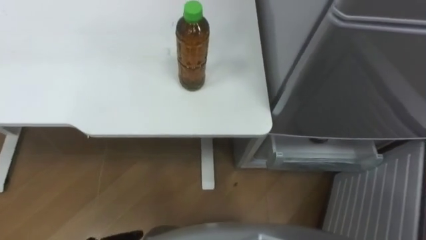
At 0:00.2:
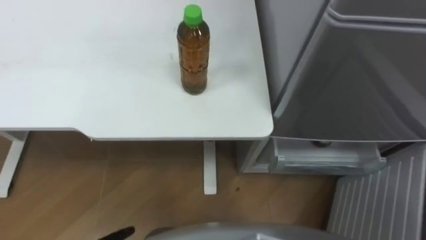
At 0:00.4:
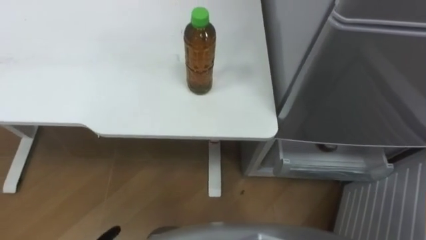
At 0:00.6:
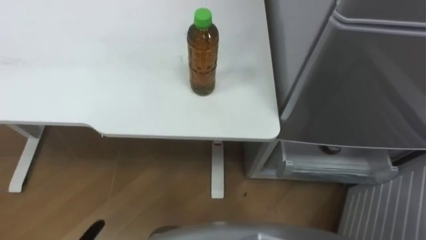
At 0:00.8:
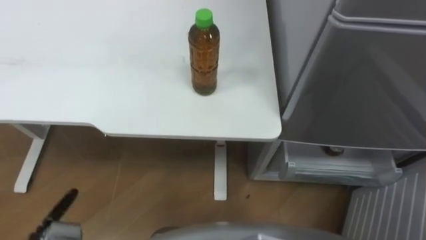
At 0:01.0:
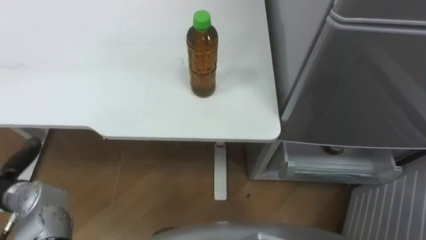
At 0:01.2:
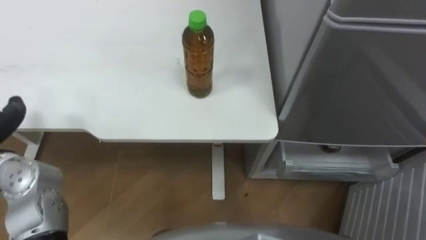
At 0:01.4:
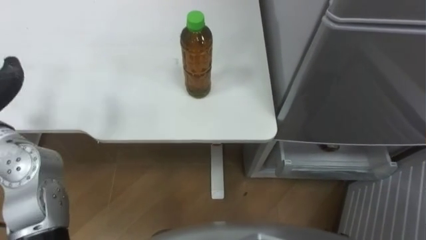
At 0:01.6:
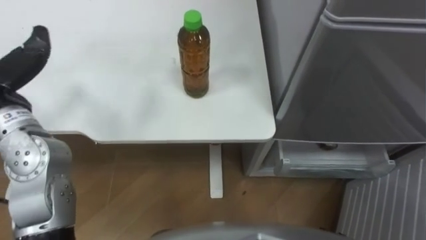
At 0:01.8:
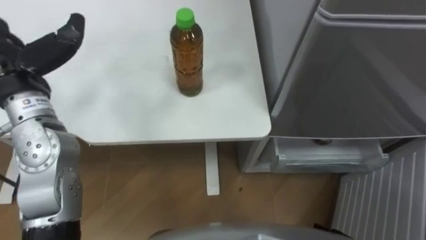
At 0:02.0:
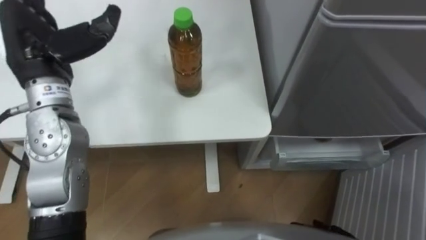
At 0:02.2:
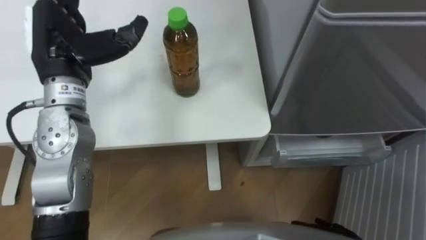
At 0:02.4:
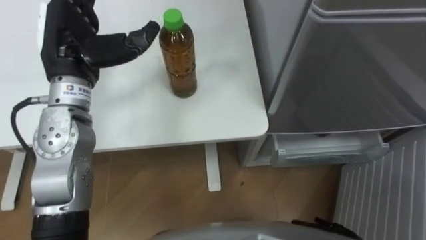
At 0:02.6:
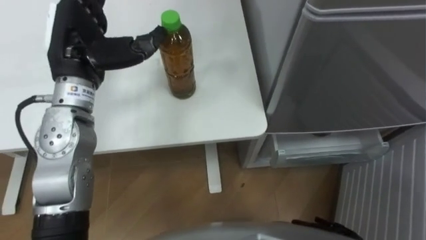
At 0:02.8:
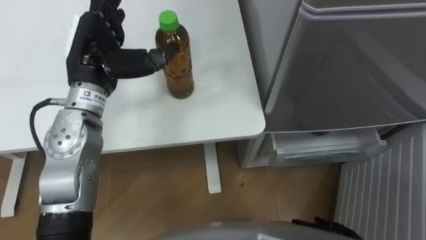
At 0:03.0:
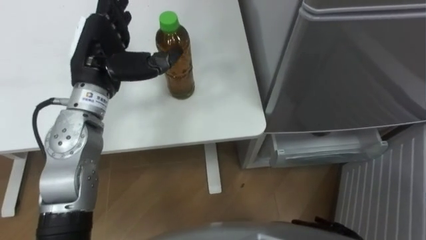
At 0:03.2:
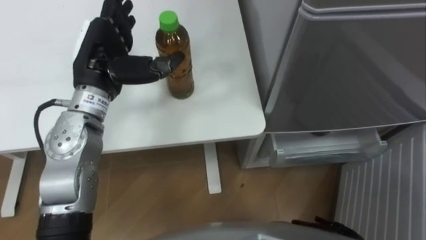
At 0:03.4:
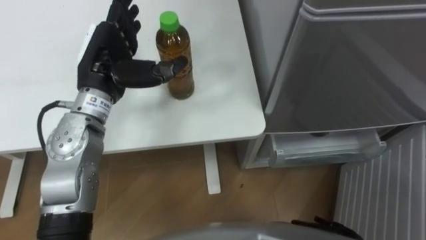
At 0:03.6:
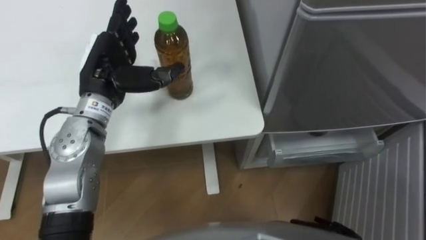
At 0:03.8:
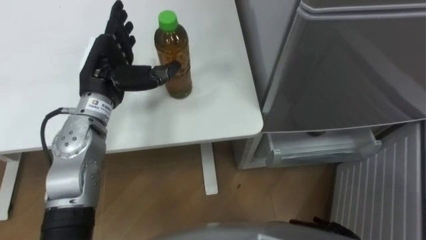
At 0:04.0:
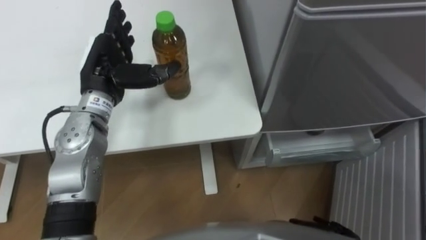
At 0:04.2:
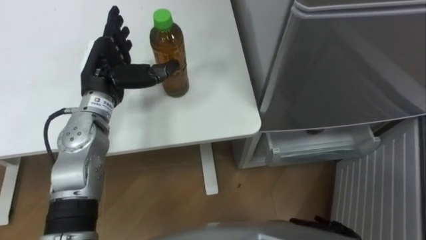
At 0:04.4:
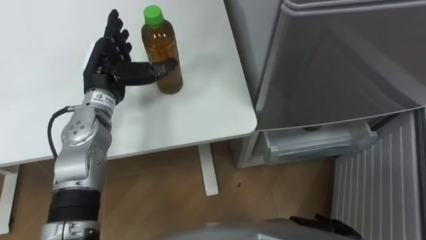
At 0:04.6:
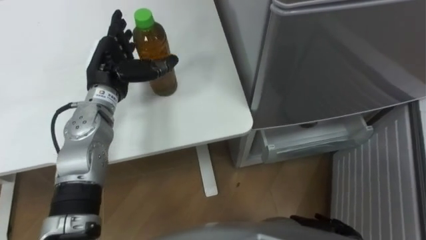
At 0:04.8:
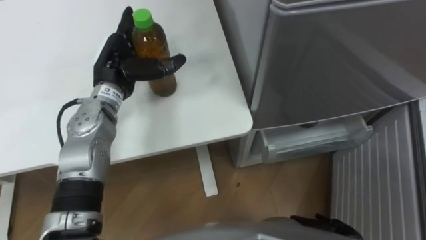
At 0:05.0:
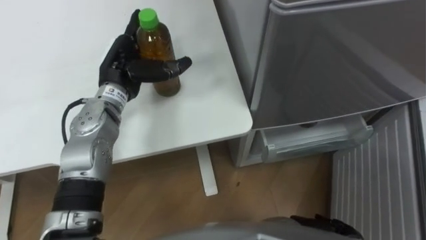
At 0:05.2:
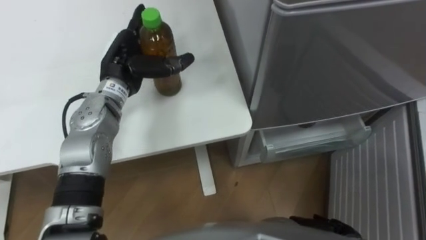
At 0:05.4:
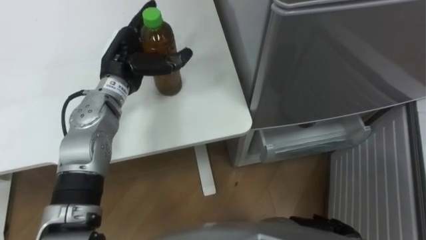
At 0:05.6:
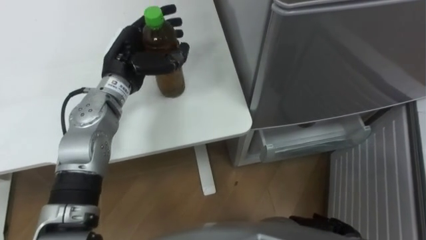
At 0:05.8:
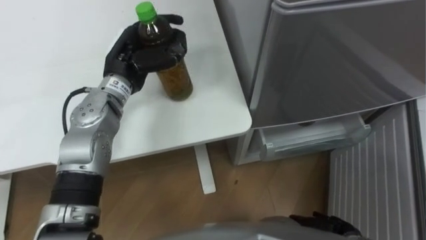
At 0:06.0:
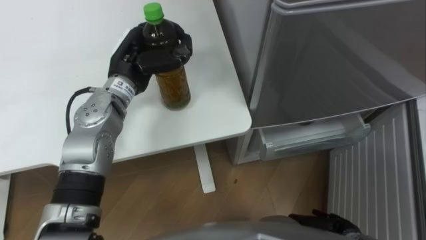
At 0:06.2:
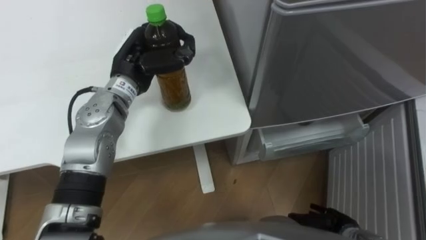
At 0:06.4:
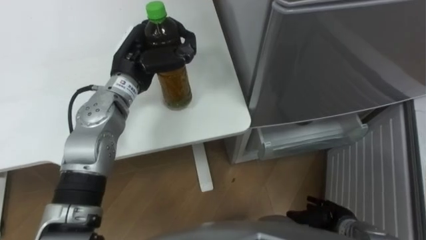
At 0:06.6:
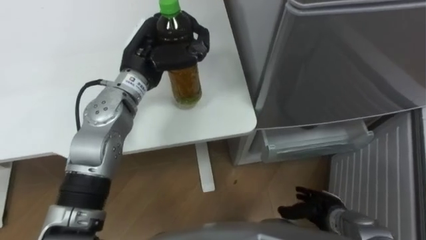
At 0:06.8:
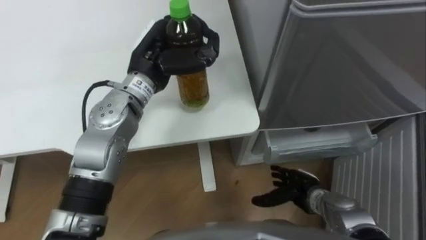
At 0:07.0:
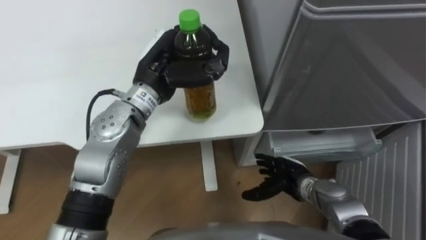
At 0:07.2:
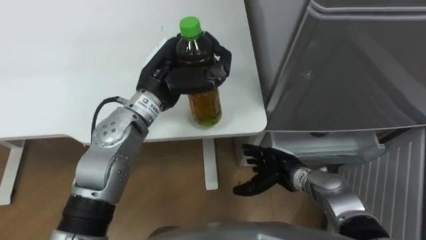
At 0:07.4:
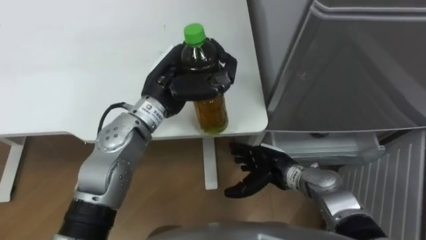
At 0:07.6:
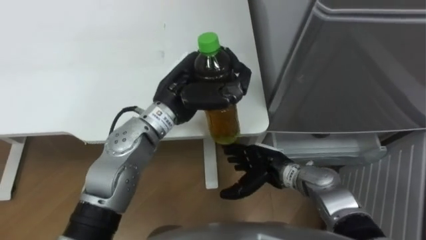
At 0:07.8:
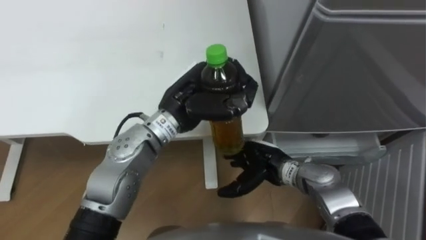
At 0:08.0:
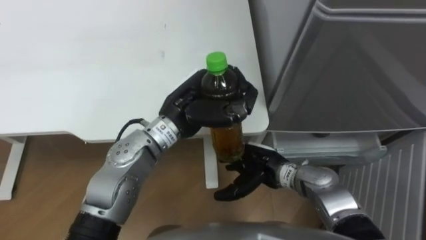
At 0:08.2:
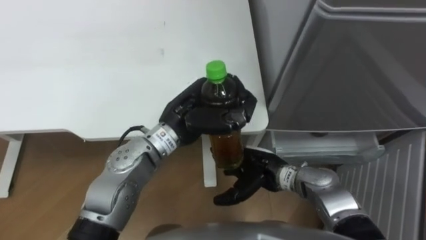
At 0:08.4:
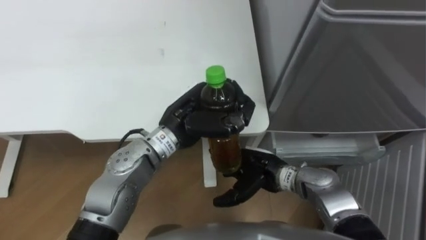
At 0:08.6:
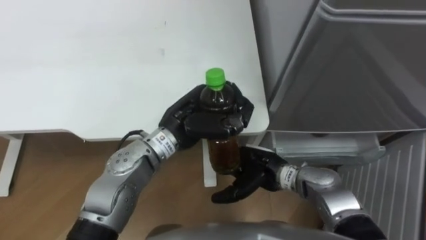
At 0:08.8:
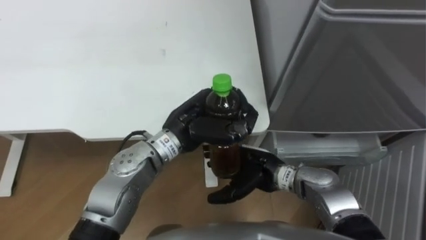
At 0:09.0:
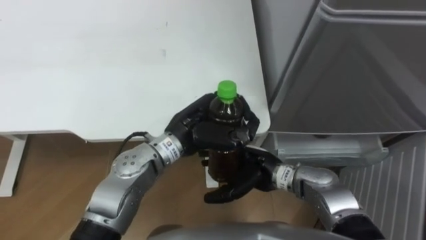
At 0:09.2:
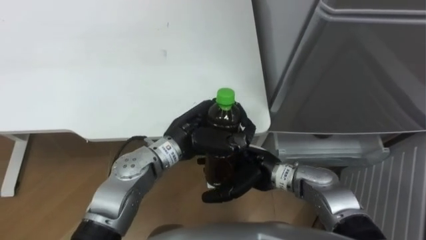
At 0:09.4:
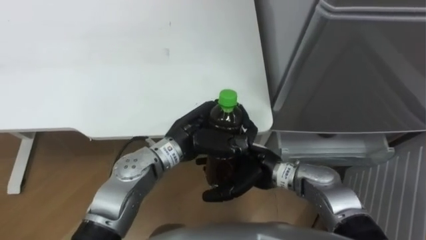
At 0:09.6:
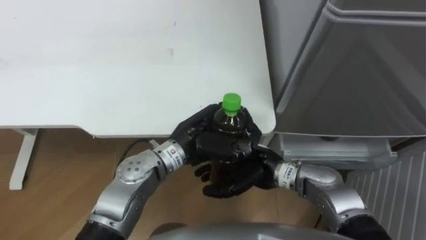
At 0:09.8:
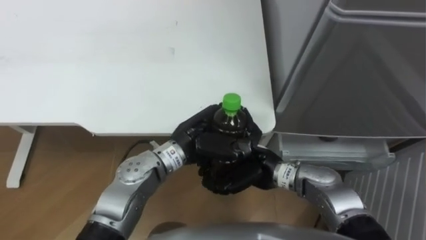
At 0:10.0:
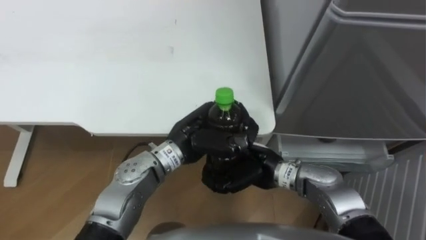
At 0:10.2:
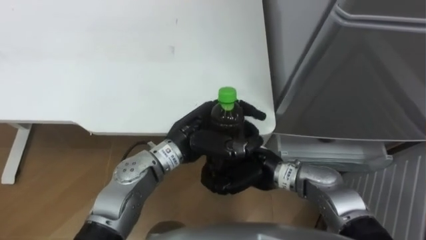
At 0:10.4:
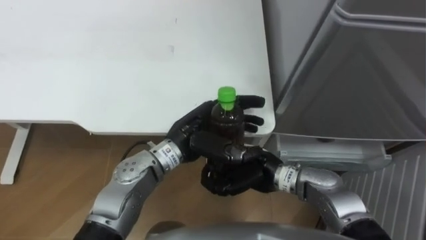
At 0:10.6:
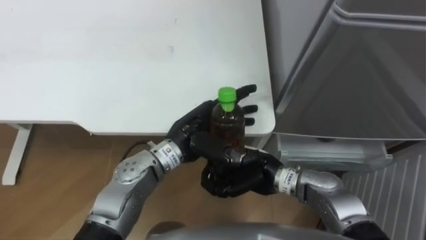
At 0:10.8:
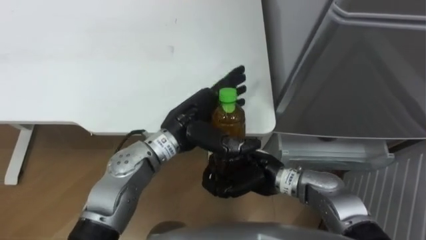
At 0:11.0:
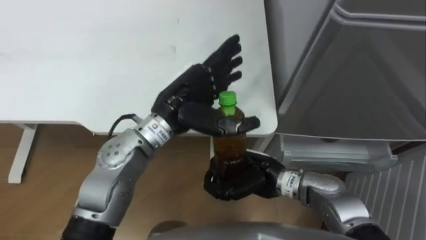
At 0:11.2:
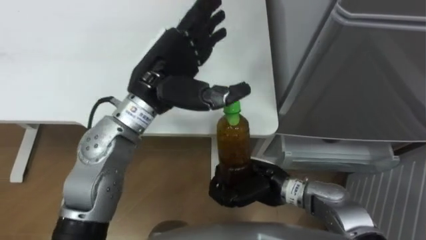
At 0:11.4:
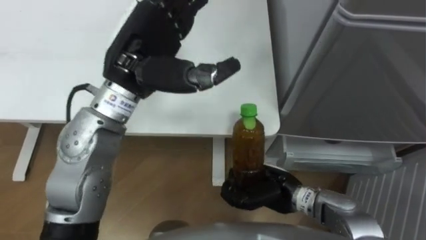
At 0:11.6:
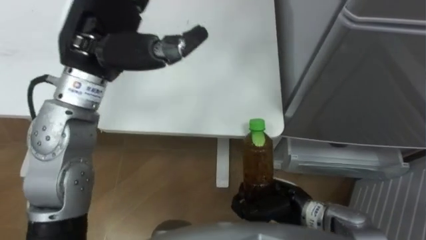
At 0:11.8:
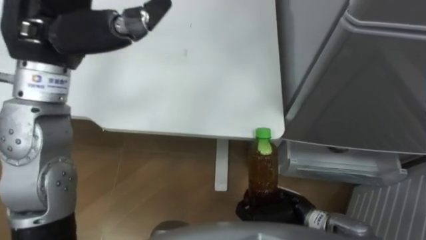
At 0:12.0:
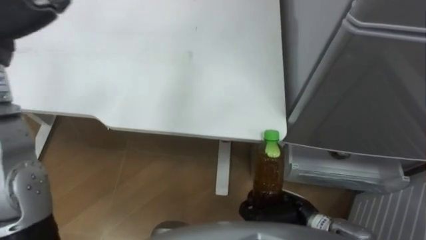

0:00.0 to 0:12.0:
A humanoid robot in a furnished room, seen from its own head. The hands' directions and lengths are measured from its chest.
Task of the whole recording: Place the drink on the table on the bottom shelf of the refrigerator, then close the drawer and the refrigerator door.
0:03.0 to 0:04.4: The left hand heads downward, covering roughly 5 cm.
0:04.4 to 0:06.0: The left hand travels to the right by approximately 5 cm, and closes.
0:06.0 to 0:07.6: The right hand travels to the left, forward and upward by some 25 cm; the left hand travels to the right and backward by approximately 10 cm.
0:07.6 to 0:09.0: The left hand heads downward, covering some 5 cm.
0:09.0 to 0:10.4: The right hand closes its fingers. The left hand opens its fingers.
0:10.4 to 0:12.0: The right hand travels to the right, backward and downward by approximately 15 cm.

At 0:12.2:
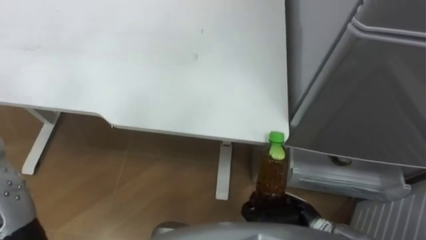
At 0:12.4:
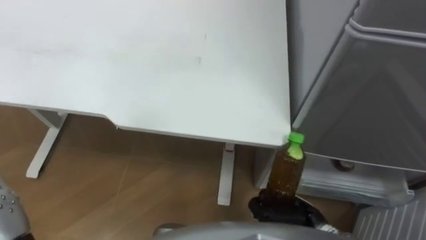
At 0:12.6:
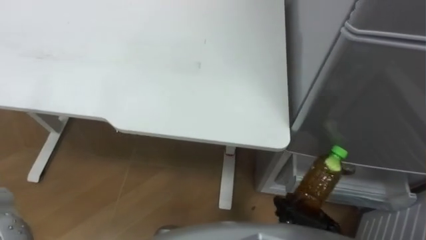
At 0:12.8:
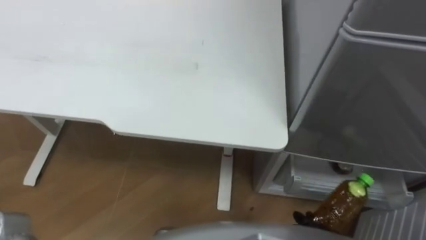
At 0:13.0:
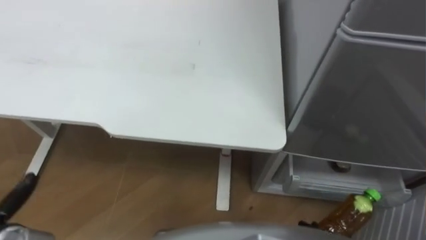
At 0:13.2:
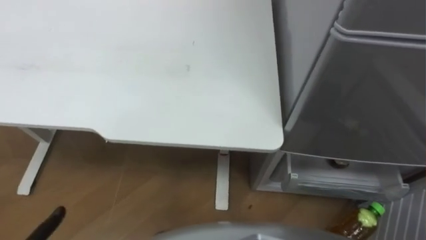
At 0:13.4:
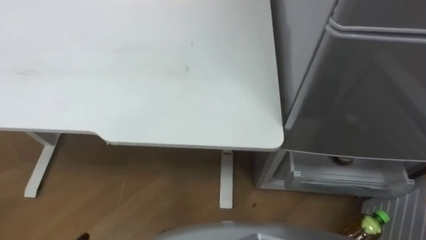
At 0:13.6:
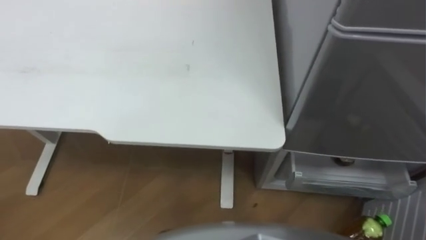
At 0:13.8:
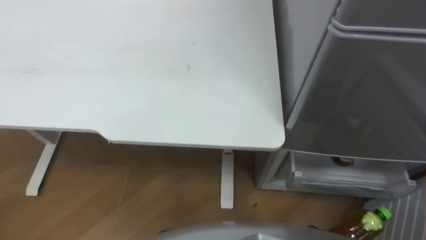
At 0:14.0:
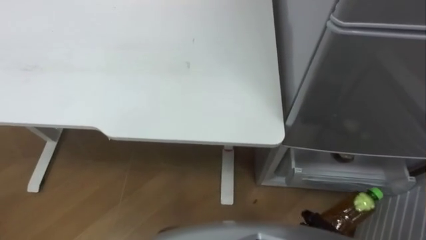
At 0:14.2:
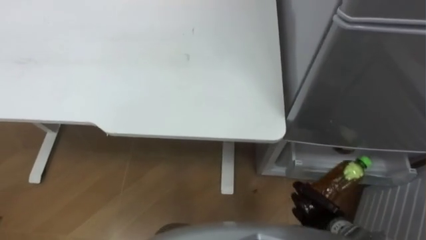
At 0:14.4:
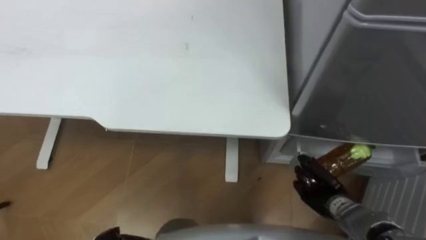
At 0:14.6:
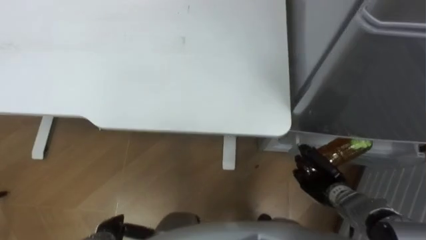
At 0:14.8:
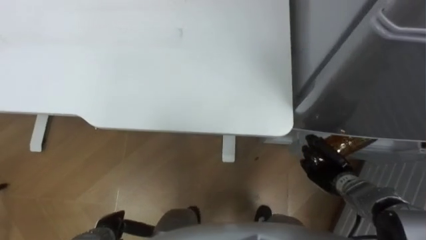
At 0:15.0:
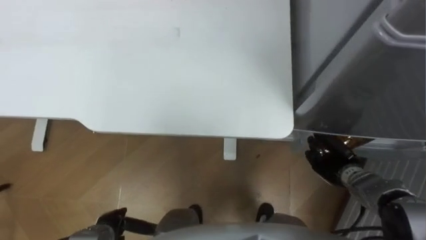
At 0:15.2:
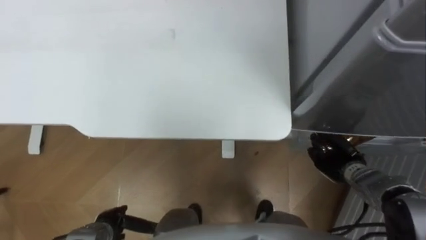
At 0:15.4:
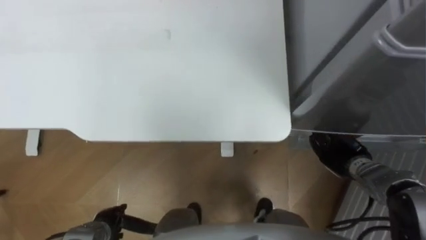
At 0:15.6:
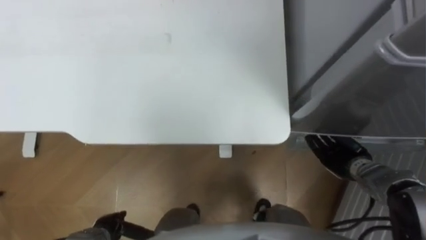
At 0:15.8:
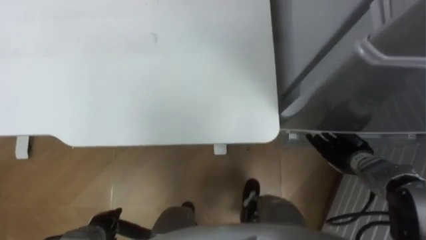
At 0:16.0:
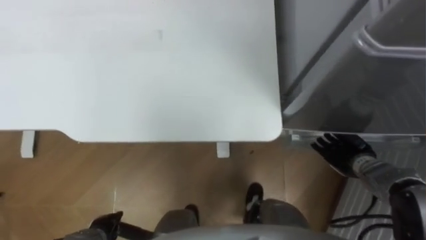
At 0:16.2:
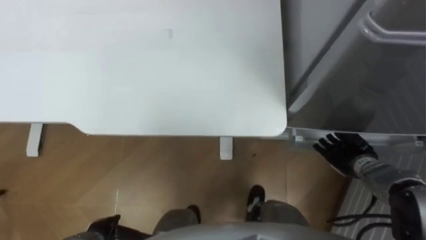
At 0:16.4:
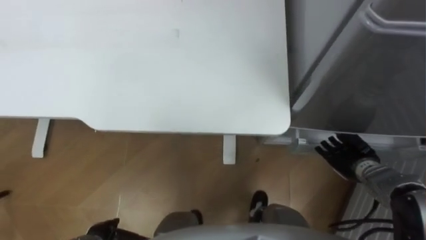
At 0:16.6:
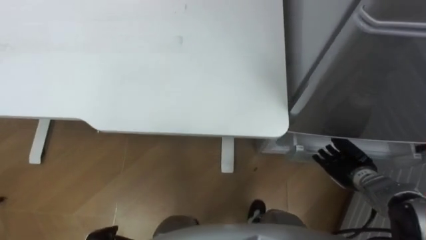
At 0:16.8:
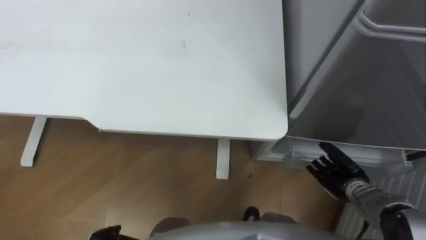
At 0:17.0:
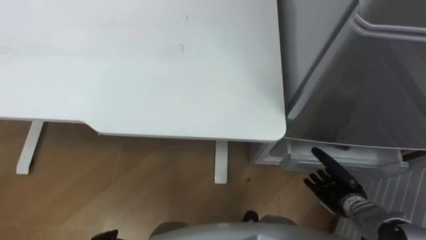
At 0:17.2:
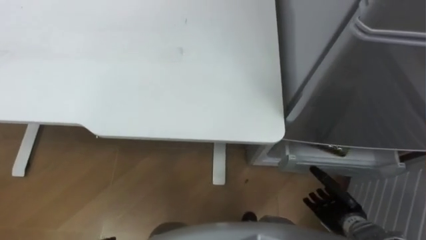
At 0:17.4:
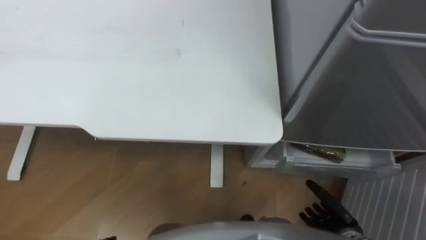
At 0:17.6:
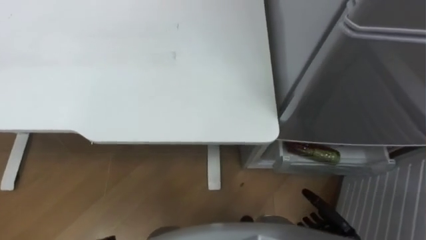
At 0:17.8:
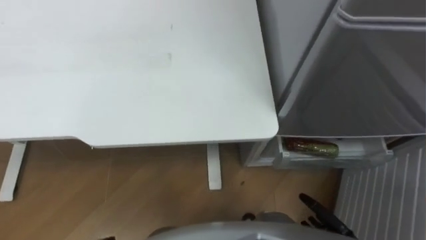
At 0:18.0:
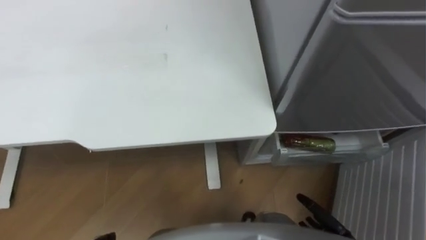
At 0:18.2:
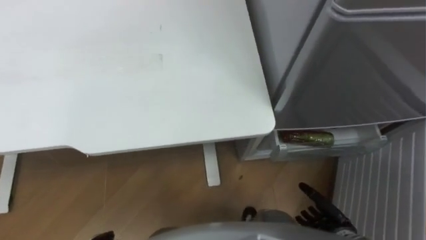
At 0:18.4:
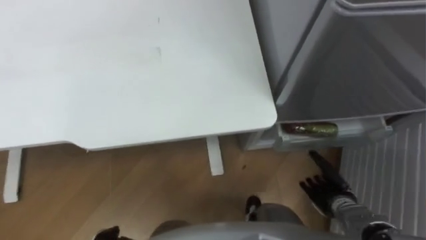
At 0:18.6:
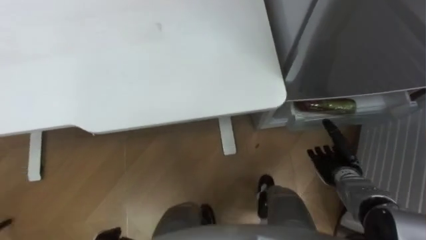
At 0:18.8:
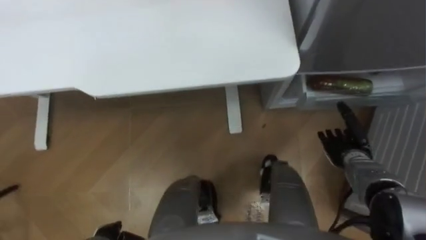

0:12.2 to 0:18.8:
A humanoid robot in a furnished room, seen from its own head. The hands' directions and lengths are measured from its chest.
Task of the whole recording: Place the drink on the table on the bottom shelf of the refrigerator, then close the drawer and the refrigerator door.
0:15.4 to 0:17.2: The right hand shifts some 10 cm backward, and opens.
0:17.2 to 0:18.8: The right hand heads forward, covering some 15 cm.
